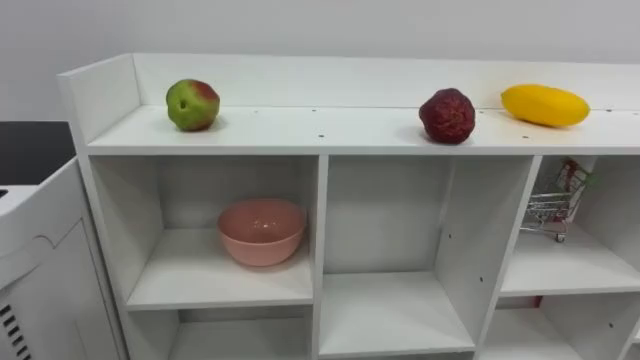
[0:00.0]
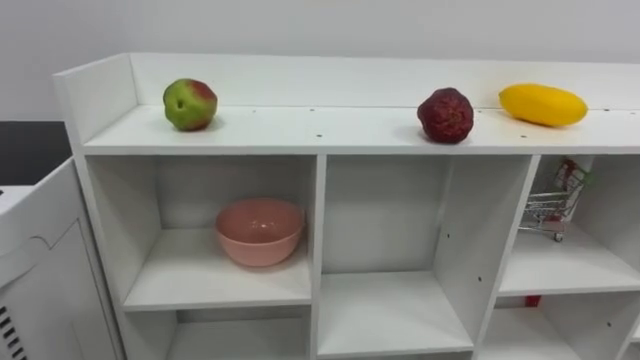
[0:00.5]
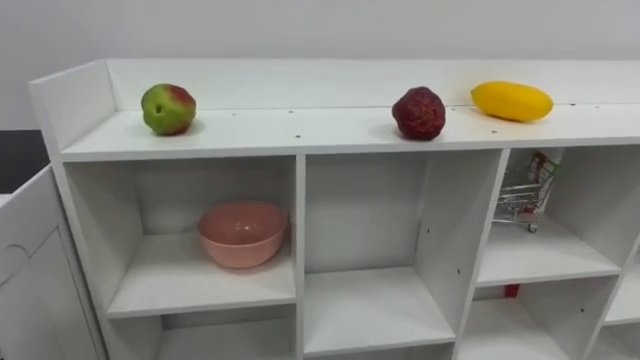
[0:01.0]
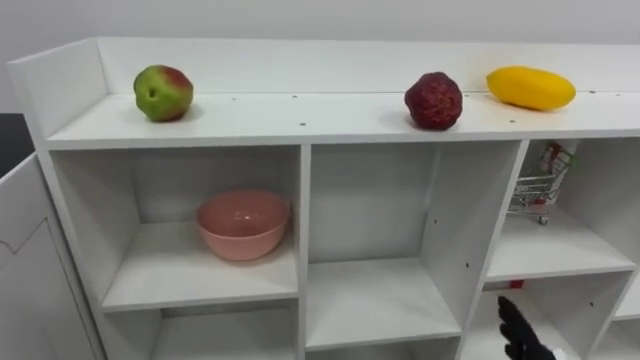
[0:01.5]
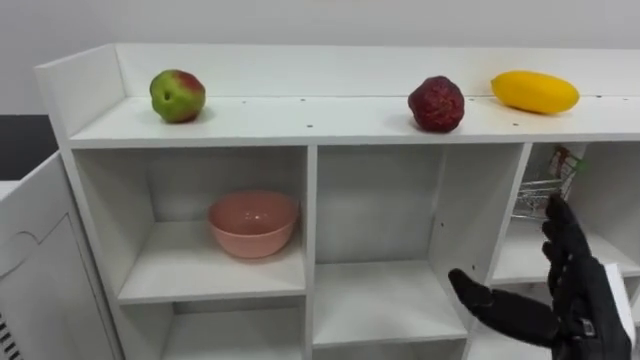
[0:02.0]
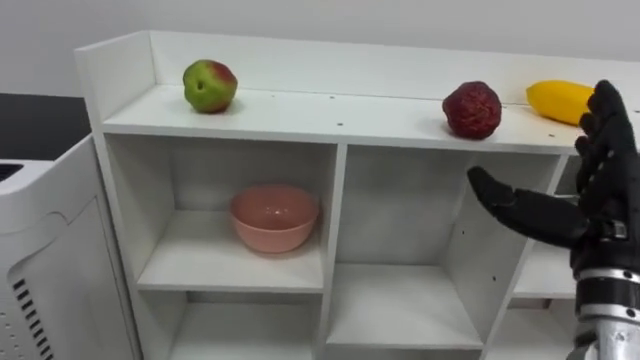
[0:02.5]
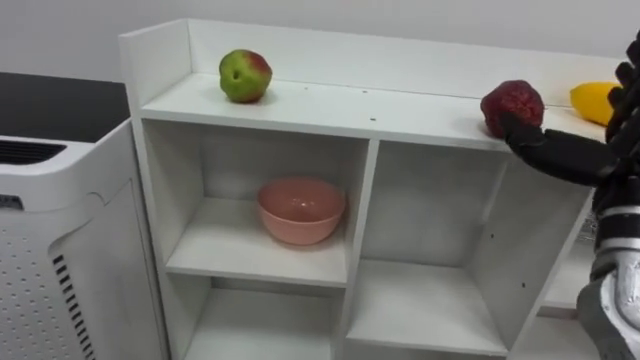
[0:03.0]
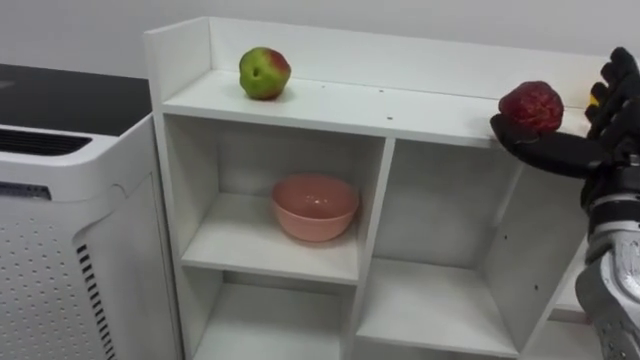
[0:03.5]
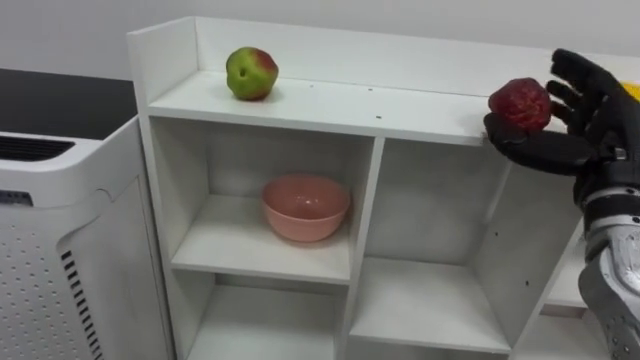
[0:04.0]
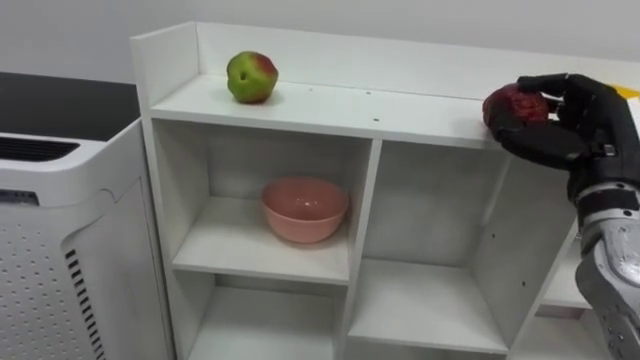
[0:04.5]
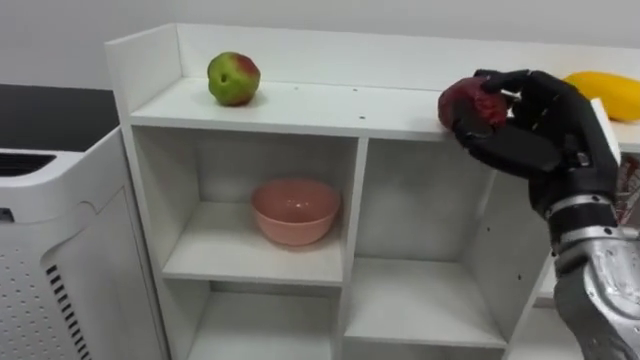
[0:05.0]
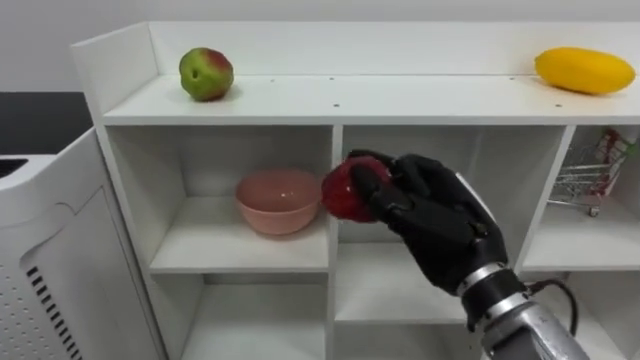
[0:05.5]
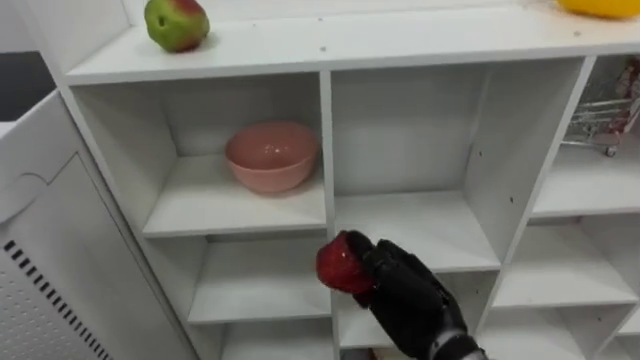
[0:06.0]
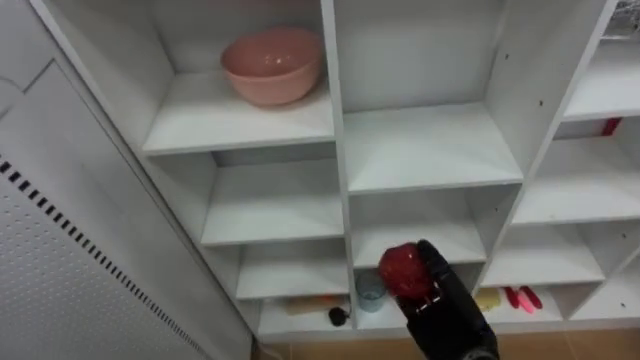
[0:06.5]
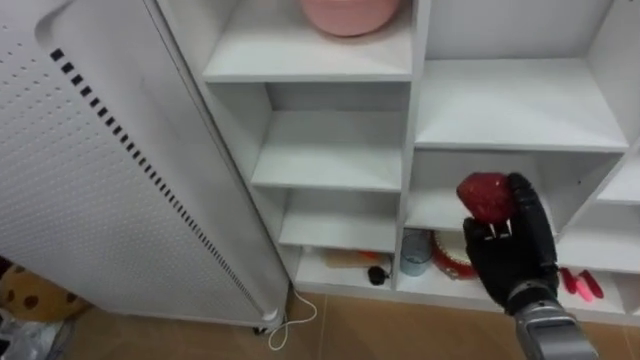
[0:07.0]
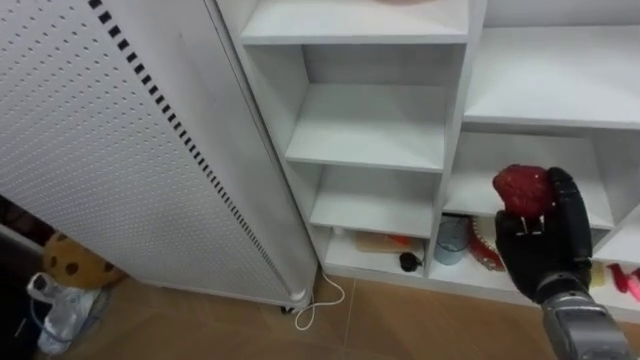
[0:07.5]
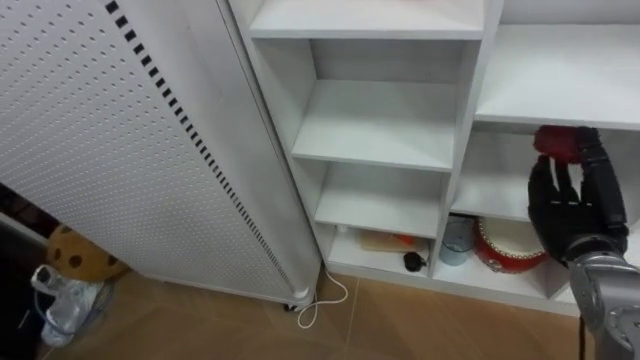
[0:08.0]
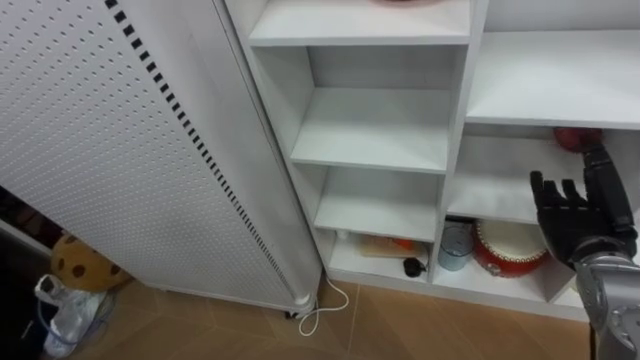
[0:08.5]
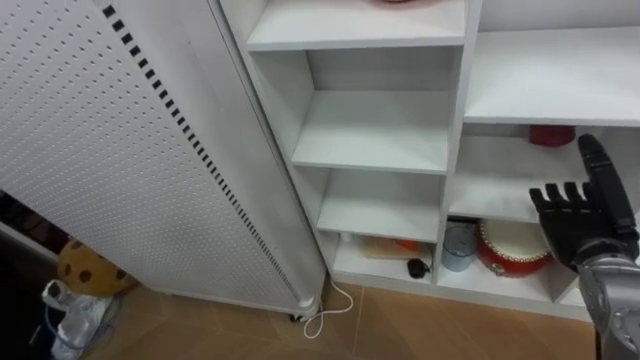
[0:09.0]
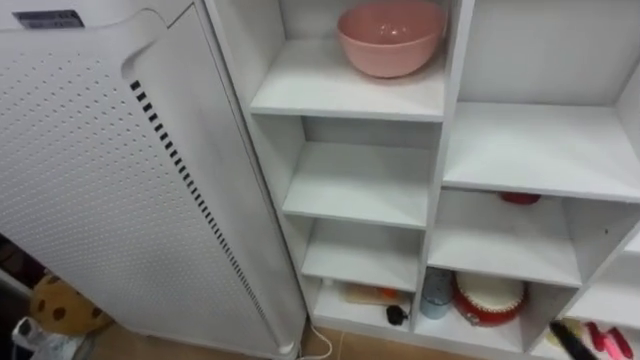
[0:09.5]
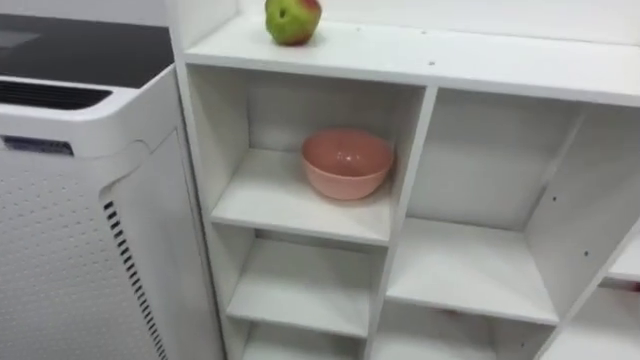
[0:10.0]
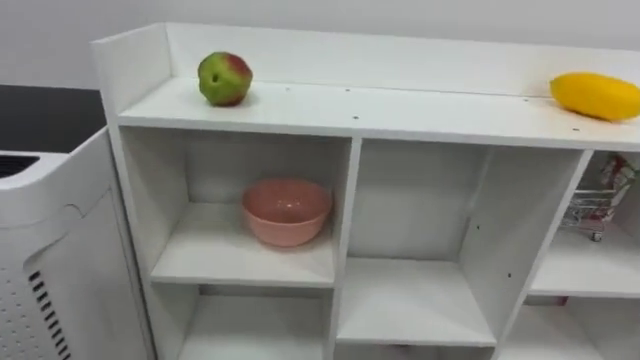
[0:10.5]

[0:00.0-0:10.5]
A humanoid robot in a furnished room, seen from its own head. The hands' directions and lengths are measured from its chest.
Task of the whole recording: Put the apple in the cell in the second column from the left and the second row from the top.
0:02.0 to 0:04.0: The right hand heads upward and forward, covering some 15 cm.
0:04.0 to 0:06.5: The right hand is displaced downward and to the left by some 25 cm, and closes up.
0:06.5 to 0:08.5: The right hand is displaced to the right and upward by roughly 20 cm, and opens its fingers.

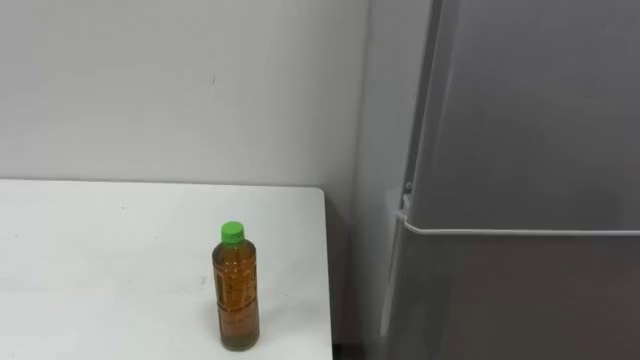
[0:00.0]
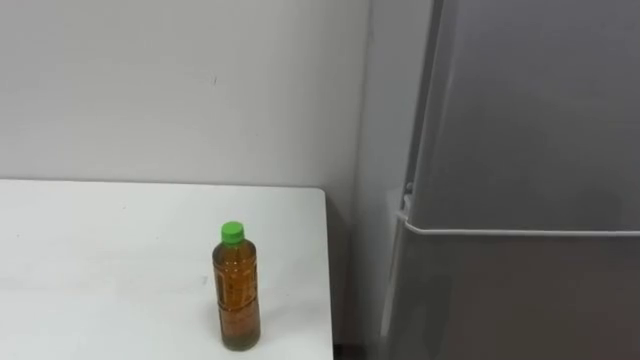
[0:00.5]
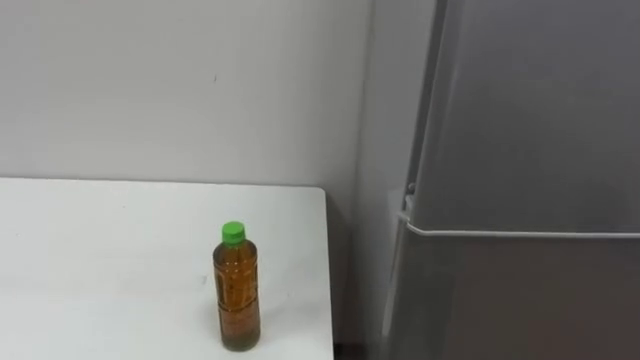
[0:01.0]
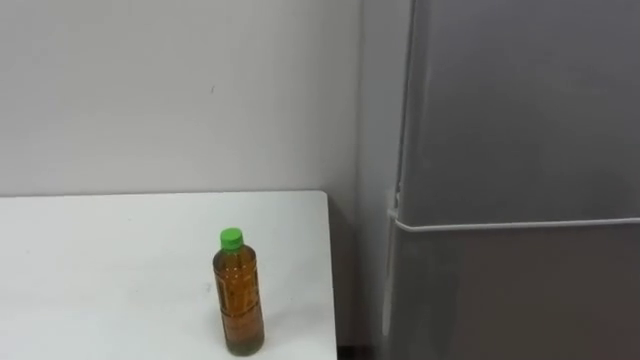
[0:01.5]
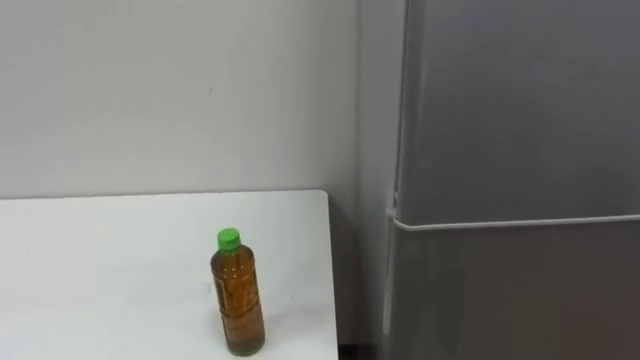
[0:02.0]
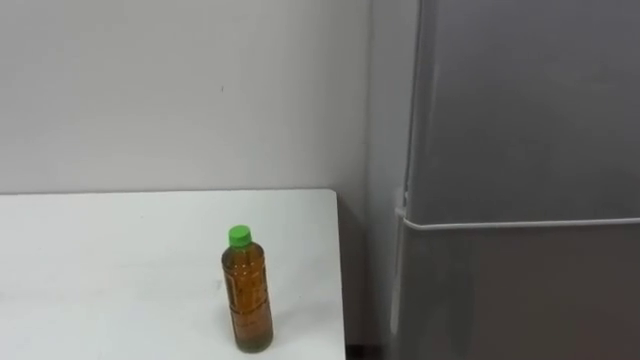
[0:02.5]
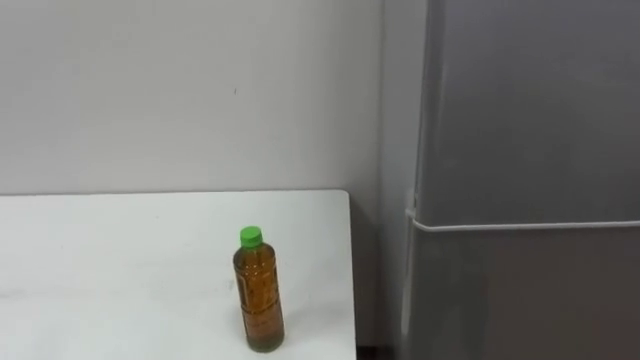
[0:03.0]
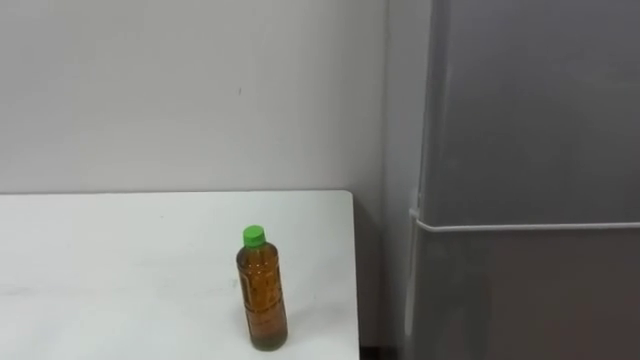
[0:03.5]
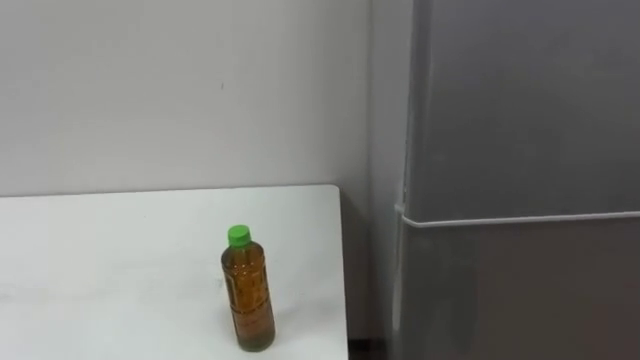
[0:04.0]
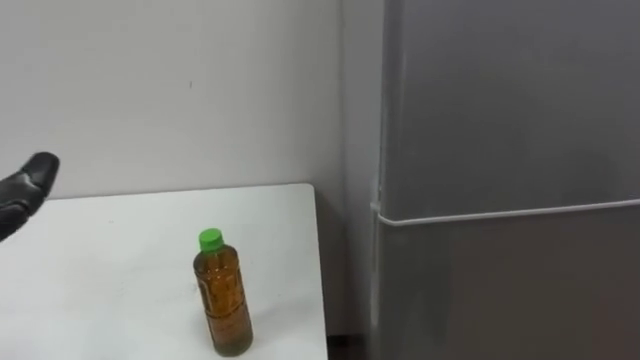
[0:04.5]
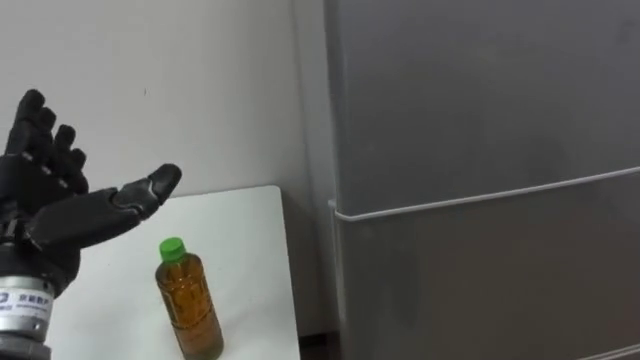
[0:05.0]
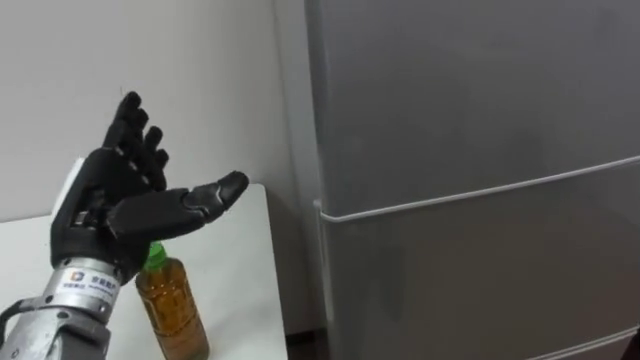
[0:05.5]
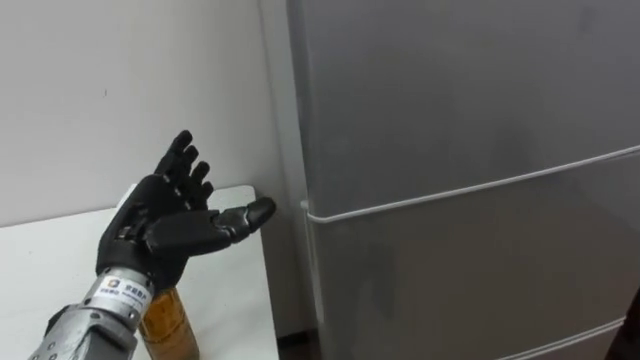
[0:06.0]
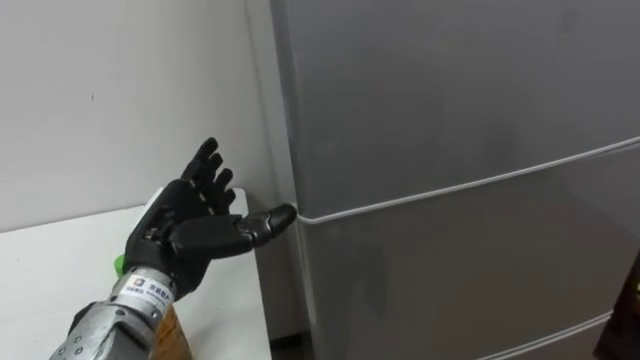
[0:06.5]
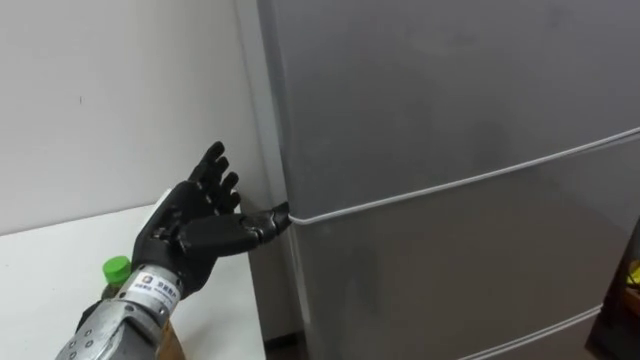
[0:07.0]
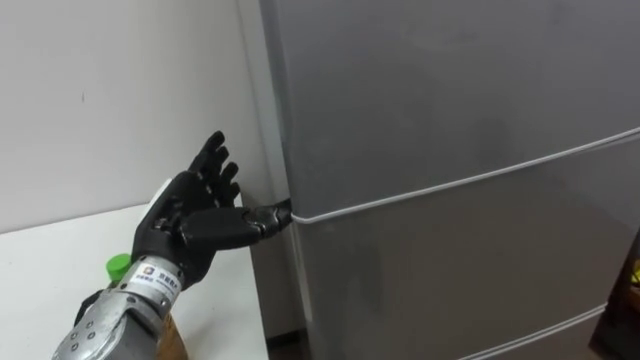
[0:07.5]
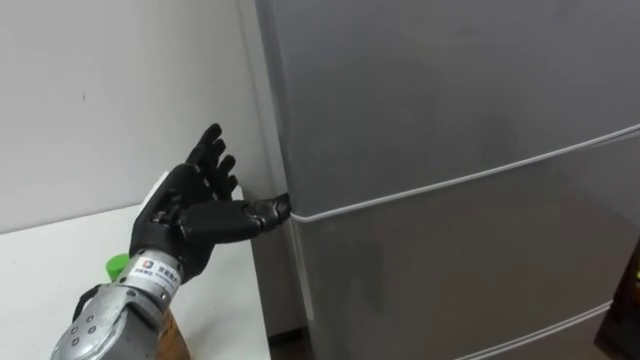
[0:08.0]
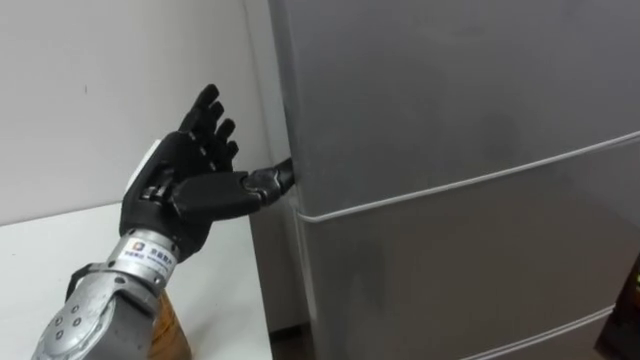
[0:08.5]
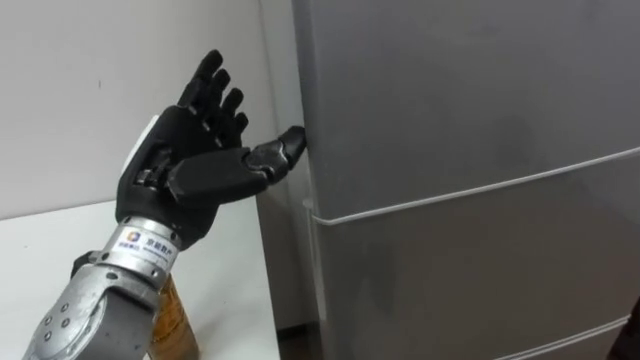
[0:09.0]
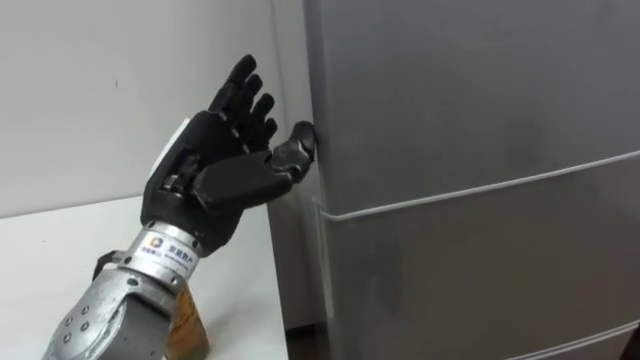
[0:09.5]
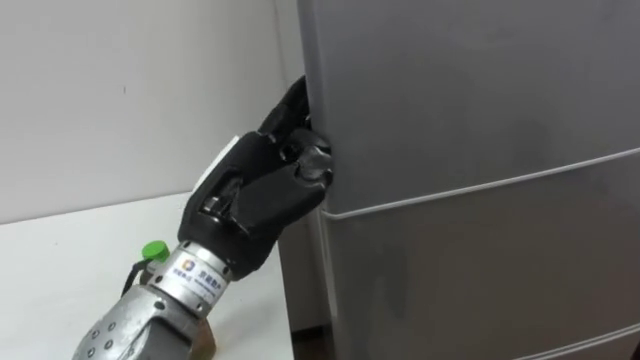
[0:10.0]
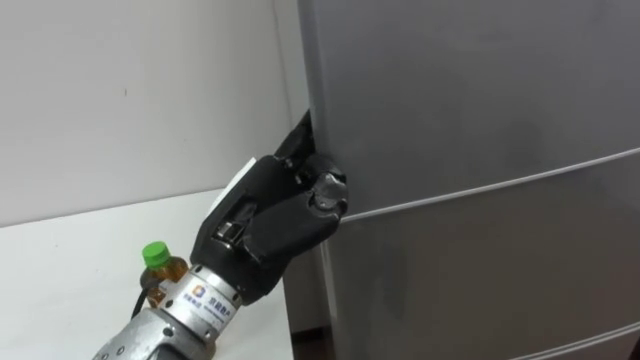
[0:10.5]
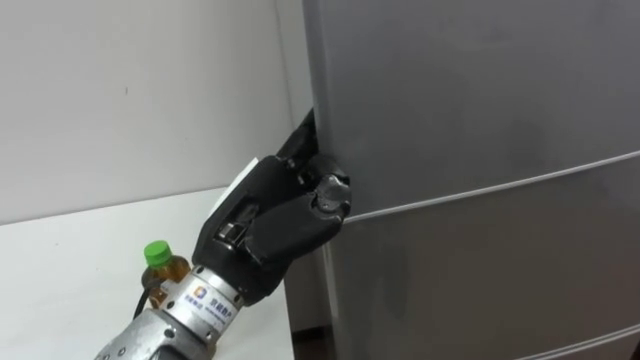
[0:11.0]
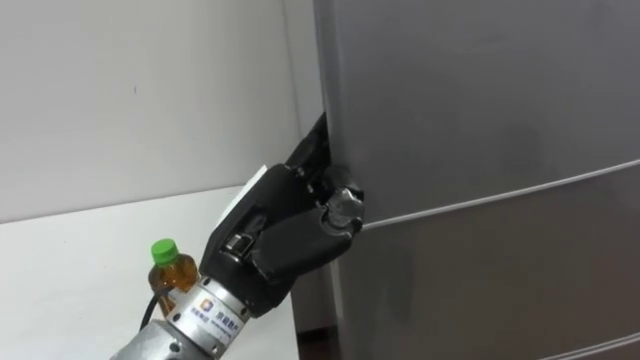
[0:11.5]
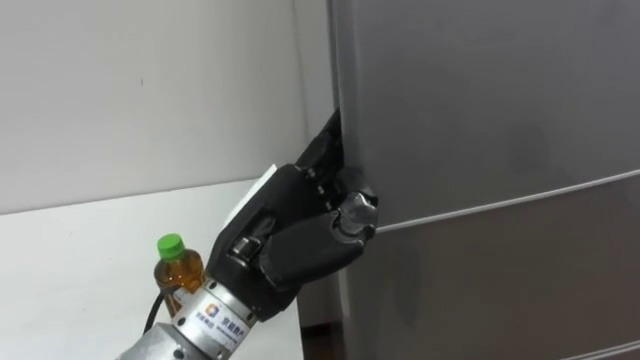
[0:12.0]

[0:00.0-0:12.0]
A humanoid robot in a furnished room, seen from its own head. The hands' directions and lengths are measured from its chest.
Task of the whole recording: Open the upper refrigerator door, put the drink from the table into the refrigerator, and then close the refrigerator door.
0:08.0 to 0:10.0: The left hand moves to the right and upward, roughly 10 cm.
